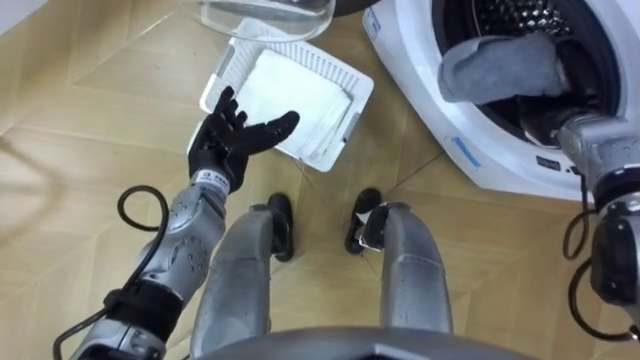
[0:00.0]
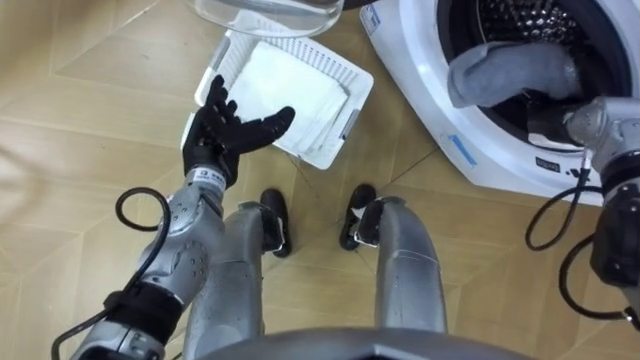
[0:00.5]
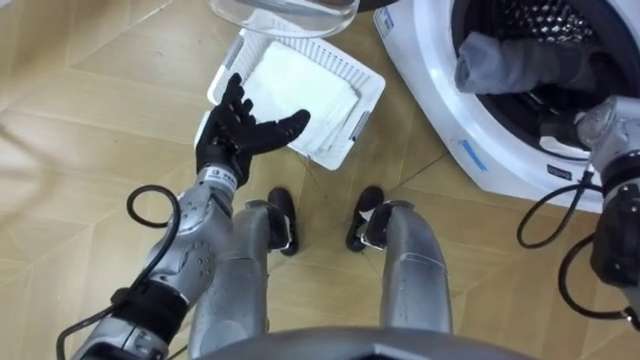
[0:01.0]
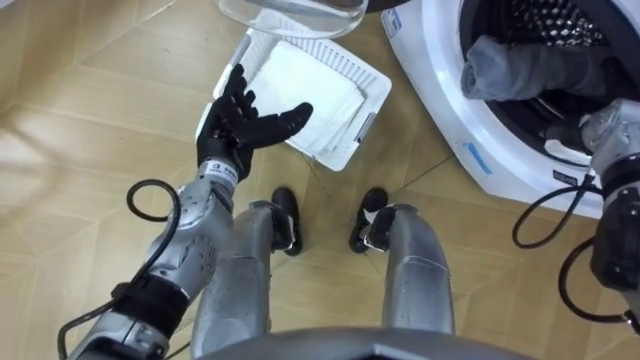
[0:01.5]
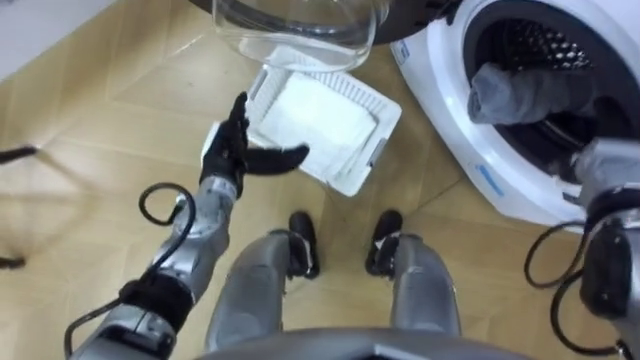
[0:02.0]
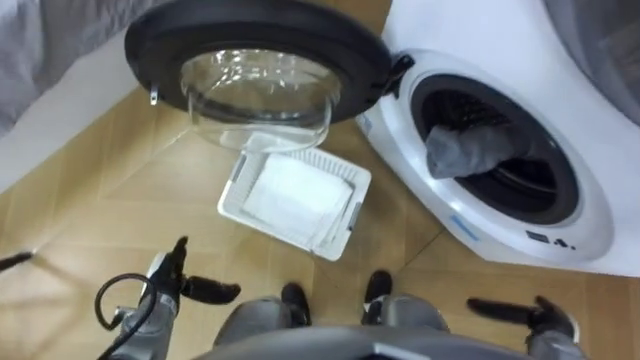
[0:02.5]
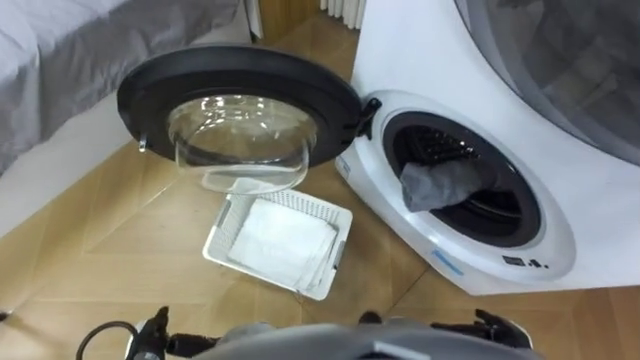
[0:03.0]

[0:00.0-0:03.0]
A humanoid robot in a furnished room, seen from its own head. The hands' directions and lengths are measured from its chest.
Task of the whole recording: Take the towel from the basket and put it into the washing machine.
0:00.0 to 0:01.5: The right hand opens up.
0:01.5 to 0:03.0: The left hand travels backward, downward and to the left by about 35 cm; the right hand is displaced backward and downward by some 35 cm.

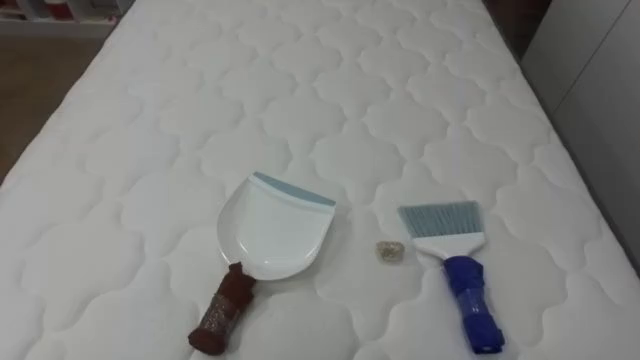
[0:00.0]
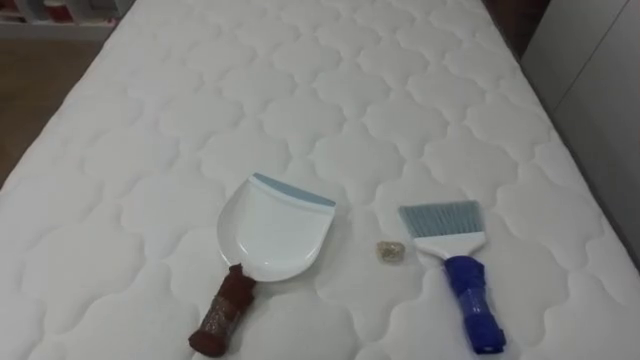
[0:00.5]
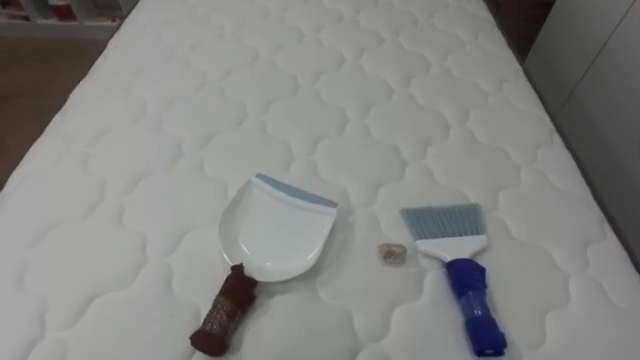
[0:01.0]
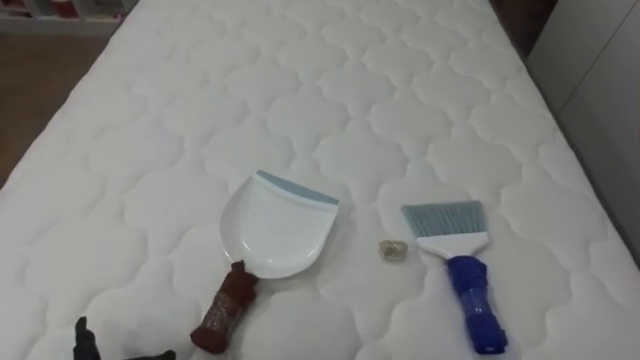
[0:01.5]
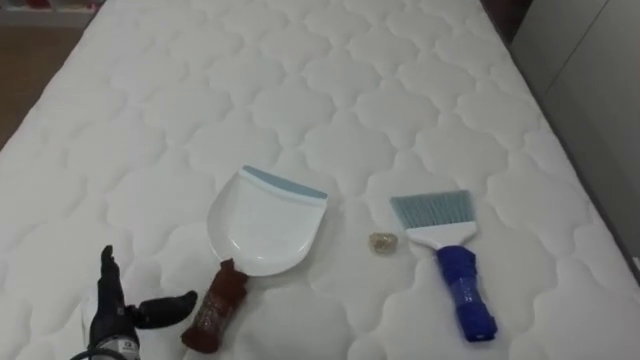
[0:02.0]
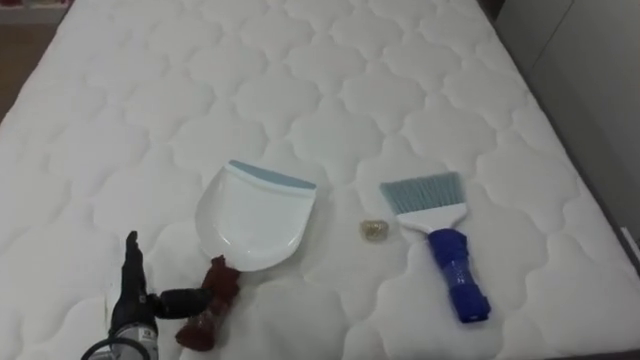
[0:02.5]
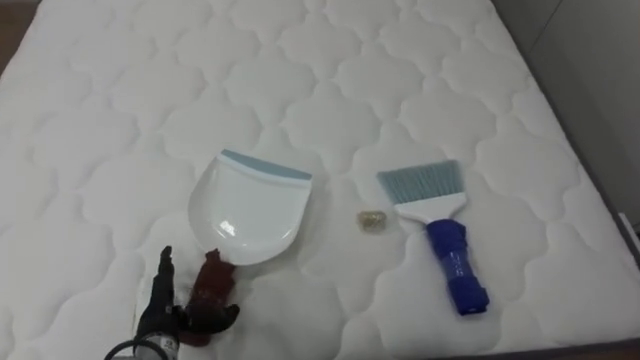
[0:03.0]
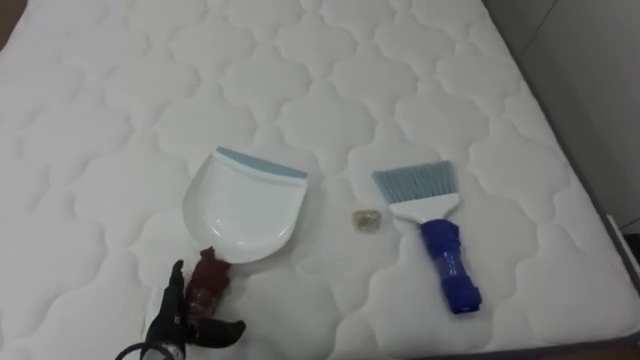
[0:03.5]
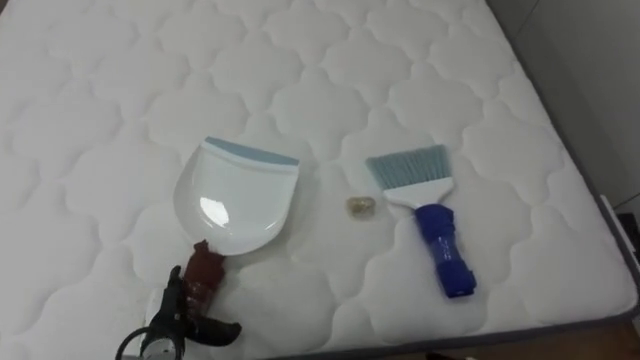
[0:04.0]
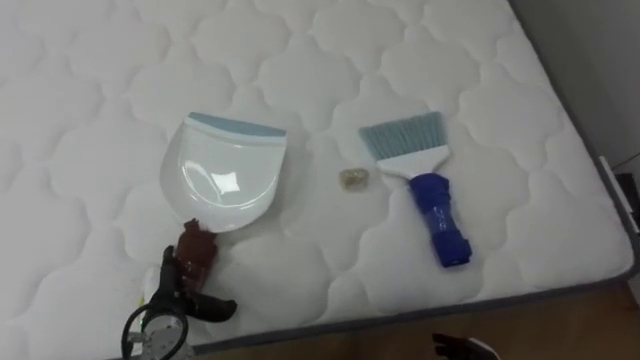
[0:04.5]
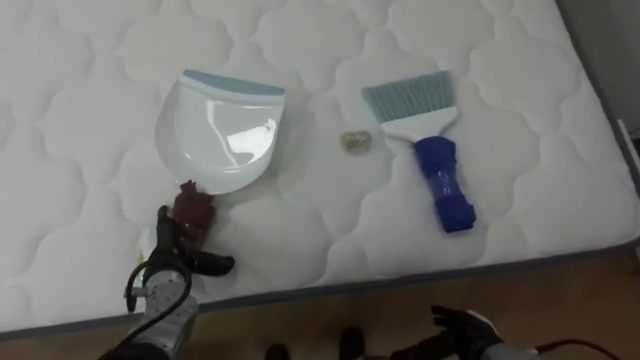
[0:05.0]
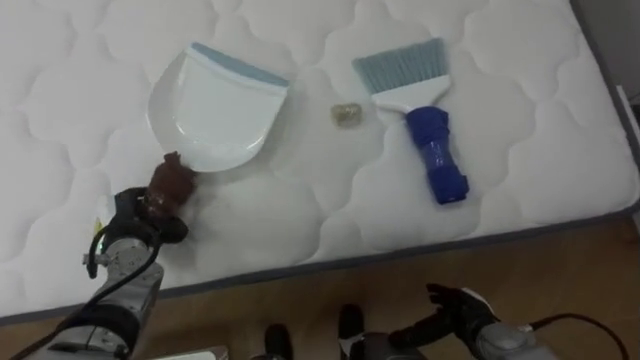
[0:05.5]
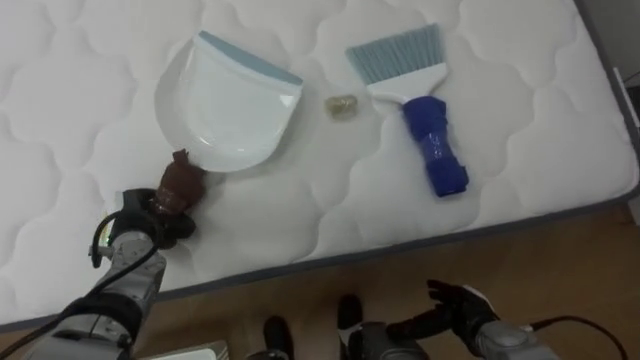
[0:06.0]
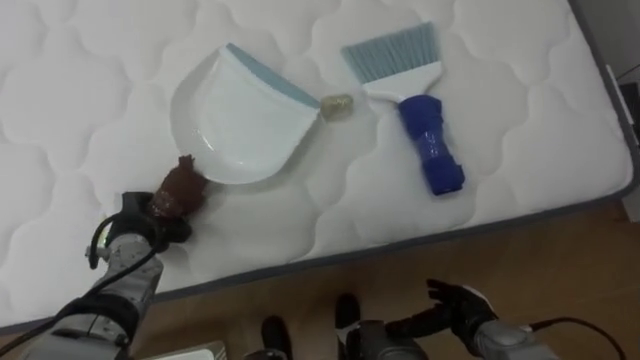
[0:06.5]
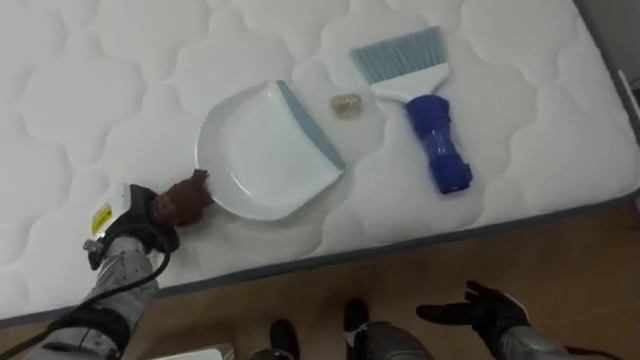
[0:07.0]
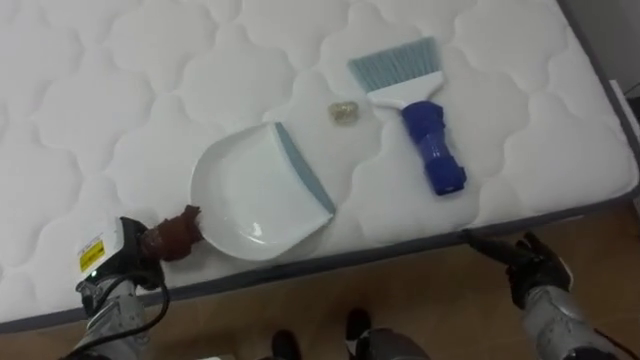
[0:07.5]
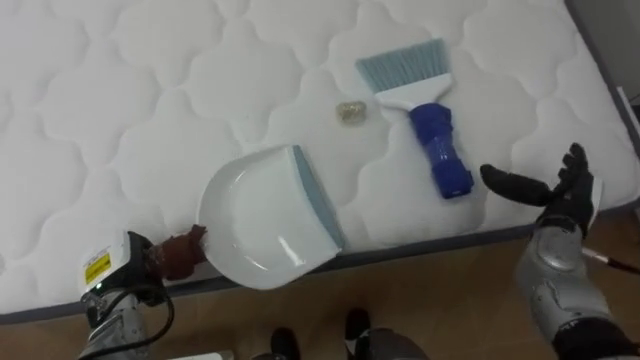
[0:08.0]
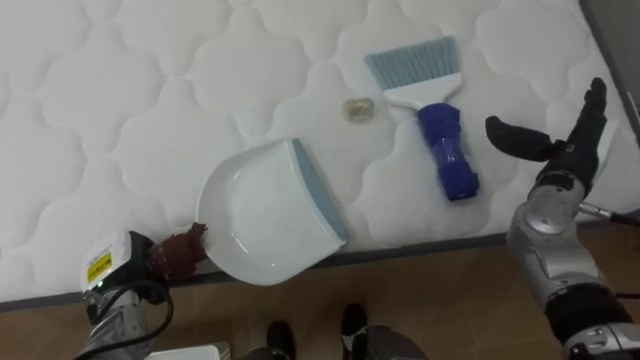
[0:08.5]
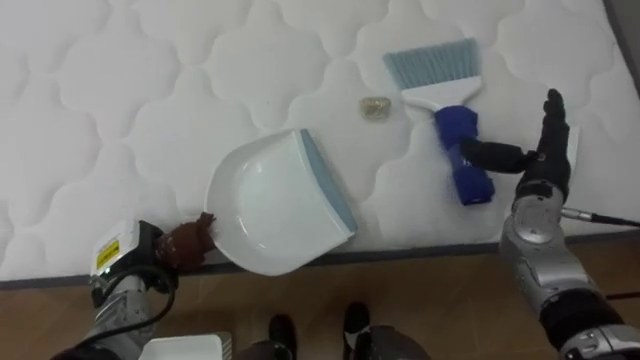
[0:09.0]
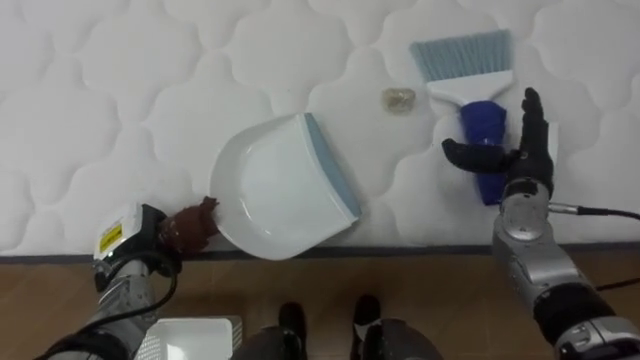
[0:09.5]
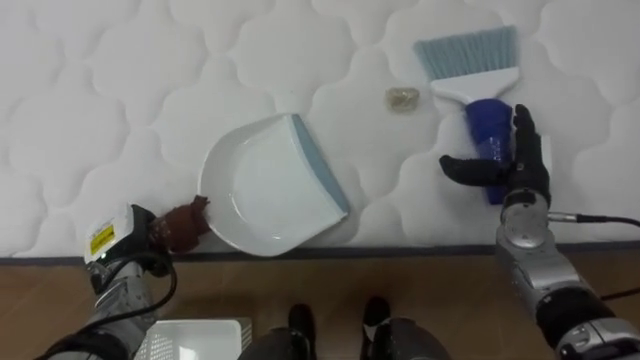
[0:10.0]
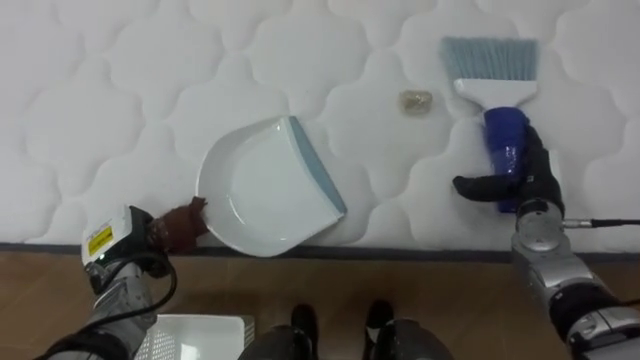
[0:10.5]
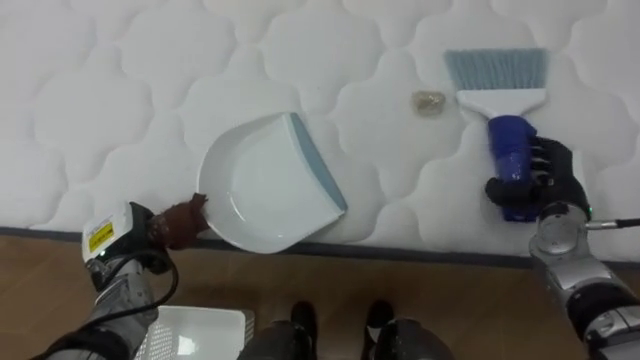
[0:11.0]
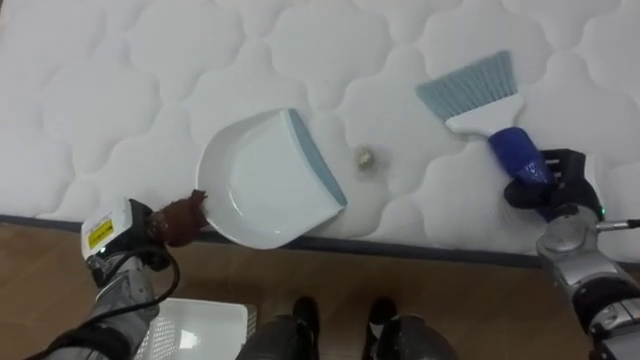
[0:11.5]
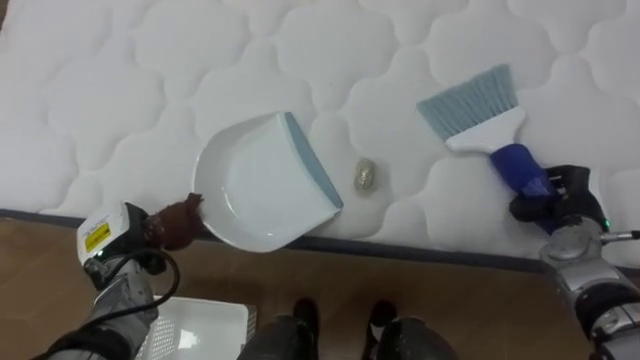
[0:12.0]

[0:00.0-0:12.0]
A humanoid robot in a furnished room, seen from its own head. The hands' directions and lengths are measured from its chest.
Task of the whole recording: Pick up the brush on your right and the dustpan on your left. Use the brush to sweep the crumpled paper on the bed into the dustpan, then turn left and empty it into the basket.
0:02.0 to 0:04.0: The left hand shifts approximately 10 cm to the right and downward.
0:04.0 to 0:06.0: The left hand moves forward and upward, roughly 15 cm, and closes.
0:06.0 to 0:08.0: The right hand heads upward, to the right and forward, covering approximately 20 cm, while the left hand goes approximately 5 cm backward.
0:08.0 to 0:10.0: The right hand moves approximately 5 cm.
0:10.0 to 0:12.0: The right hand shifts about 10 cm to the right, and closes up.

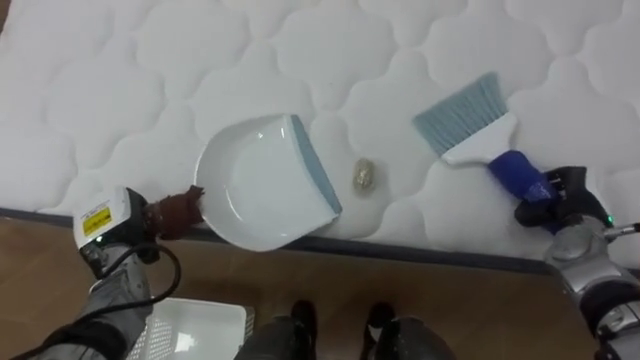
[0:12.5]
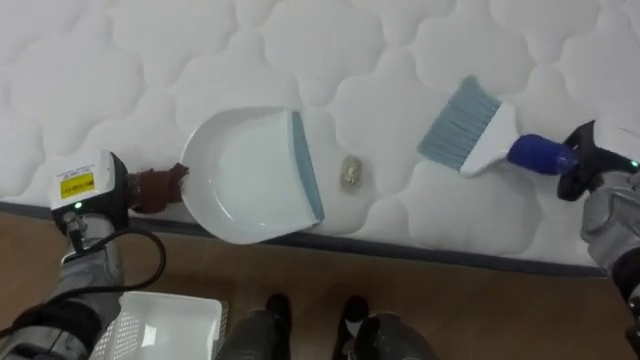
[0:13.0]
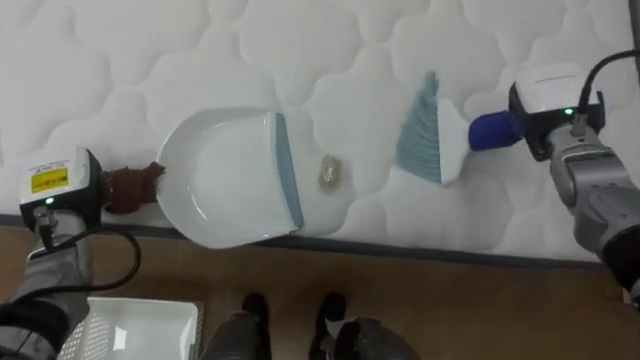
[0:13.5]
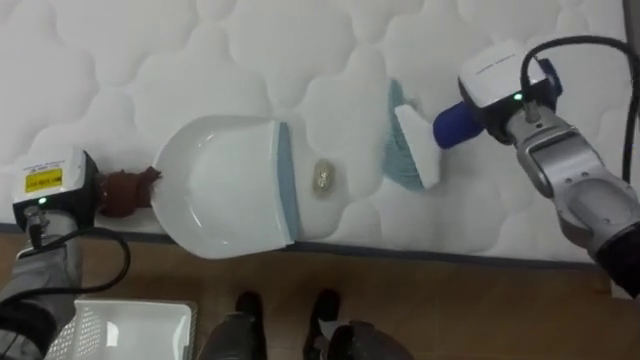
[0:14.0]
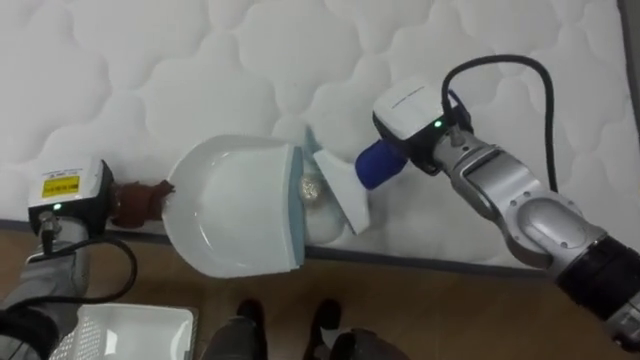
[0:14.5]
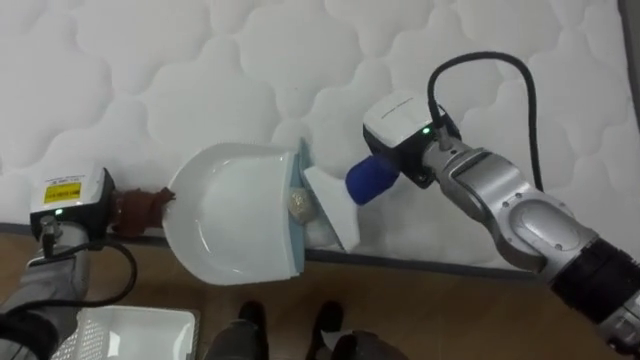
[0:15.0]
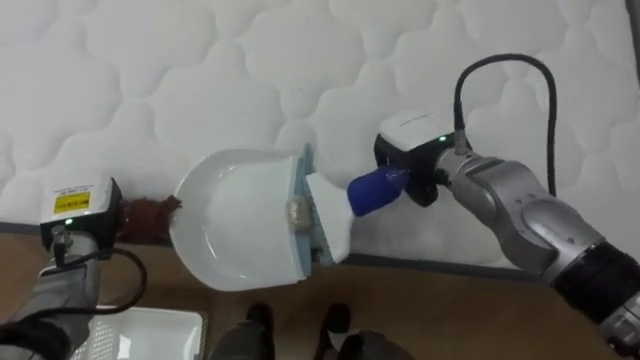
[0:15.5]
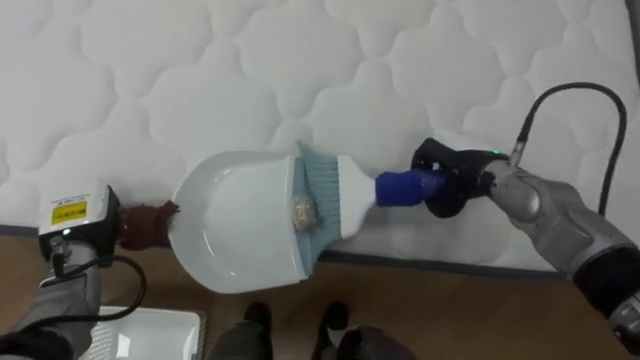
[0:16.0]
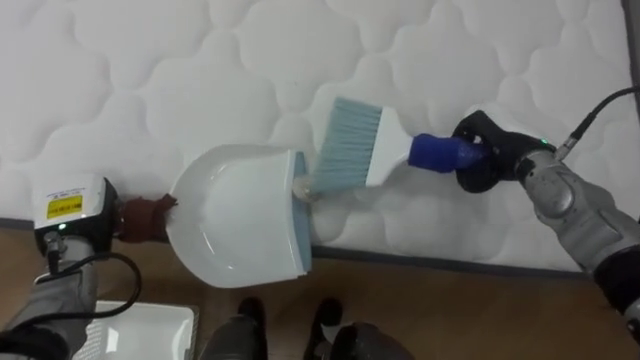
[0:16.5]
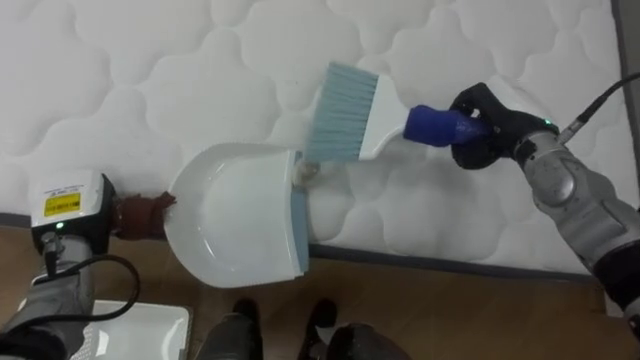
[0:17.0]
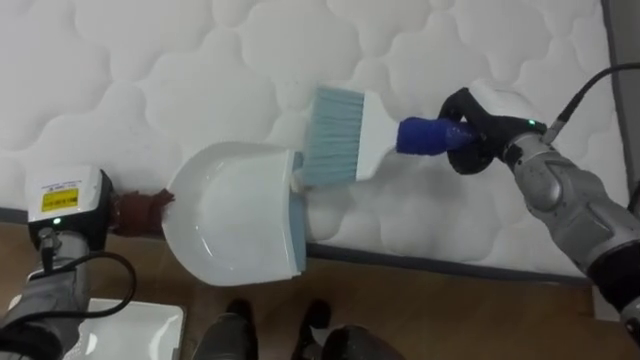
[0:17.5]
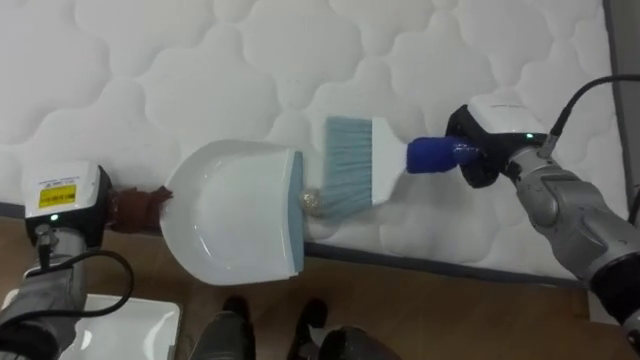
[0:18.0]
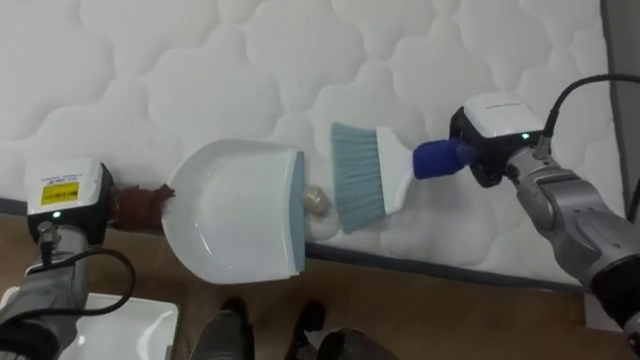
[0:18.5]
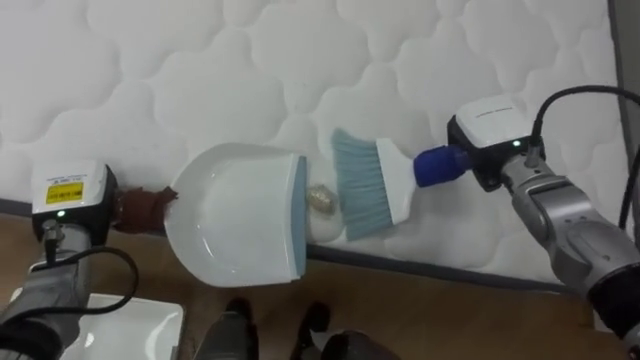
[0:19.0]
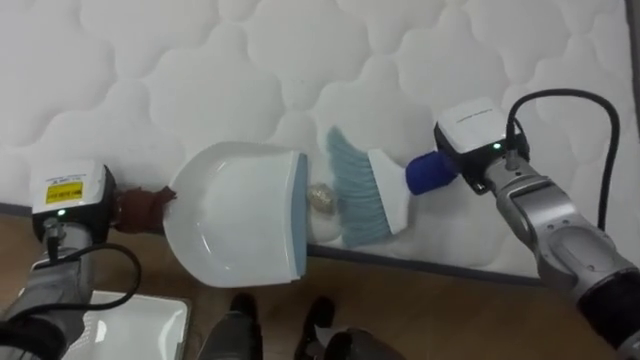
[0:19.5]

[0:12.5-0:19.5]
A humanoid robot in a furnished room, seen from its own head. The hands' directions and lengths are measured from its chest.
Task of the whole recording: Pick up the brush on your right and the dustpan on your left. Use the brush to sweep the crumpled paper on the bed into the dustpan, then turn left and empty it into the basket.
0:12.5 to 0:14.5: The left hand ends up roughly 5 cm from where it was. The right hand moves to the left and upward, roughly 25 cm.
0:14.5 to 0:16.0: The right hand shifts roughly 10 cm to the right and downward.
0:16.0 to 0:17.5: The right hand shifts some 5 cm upward.
